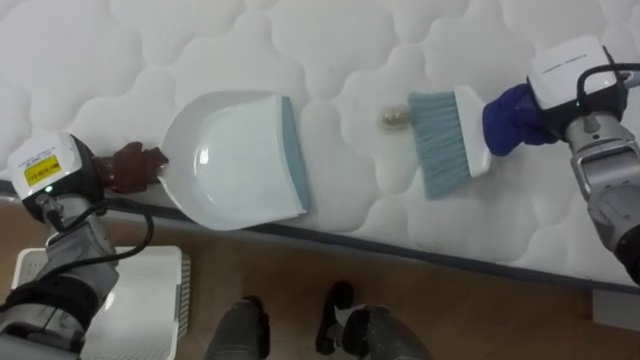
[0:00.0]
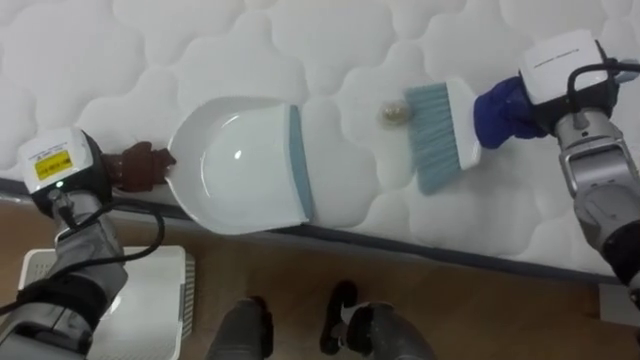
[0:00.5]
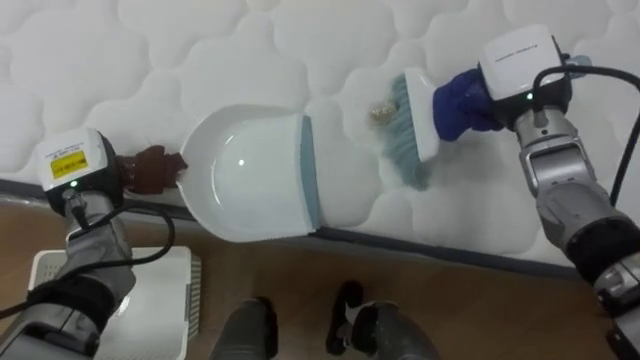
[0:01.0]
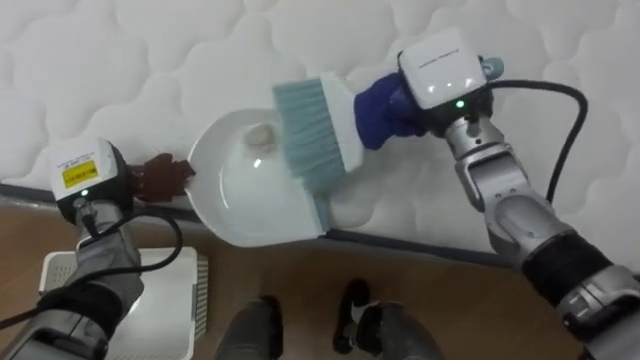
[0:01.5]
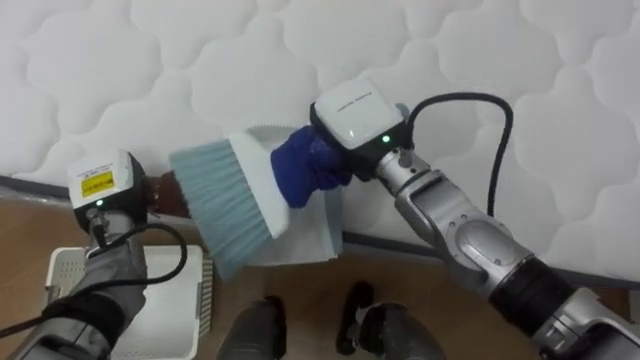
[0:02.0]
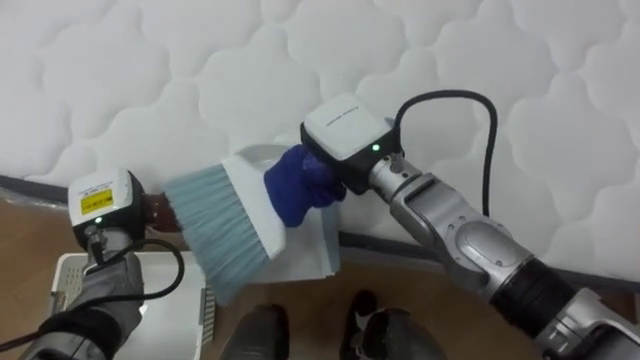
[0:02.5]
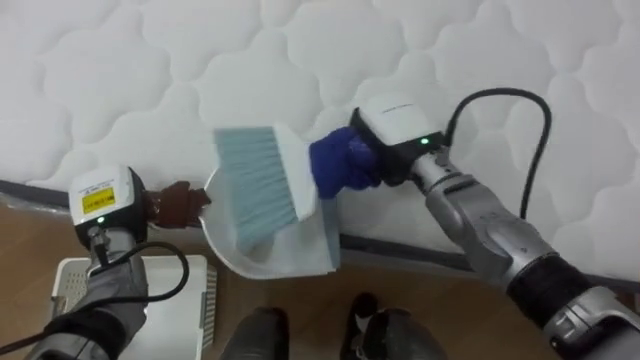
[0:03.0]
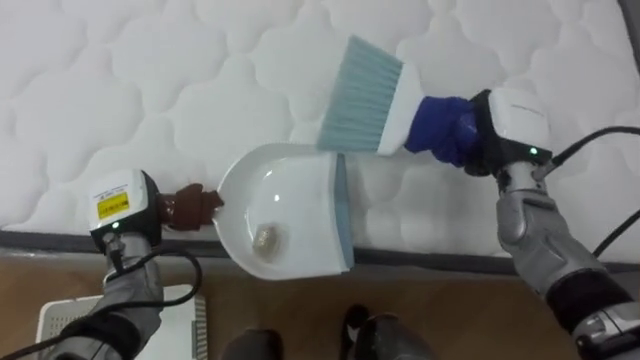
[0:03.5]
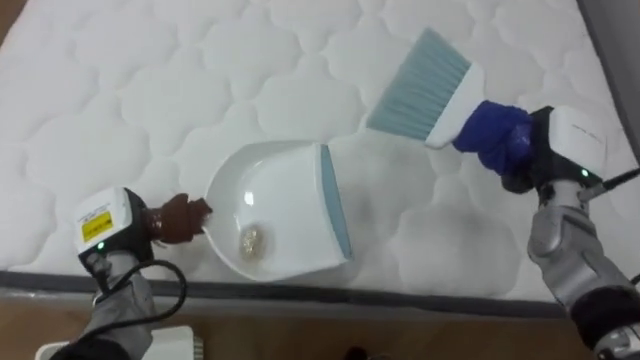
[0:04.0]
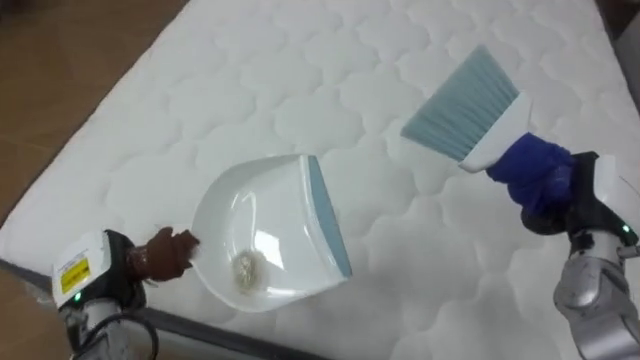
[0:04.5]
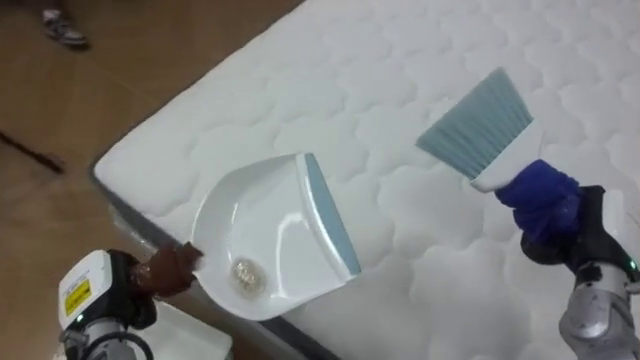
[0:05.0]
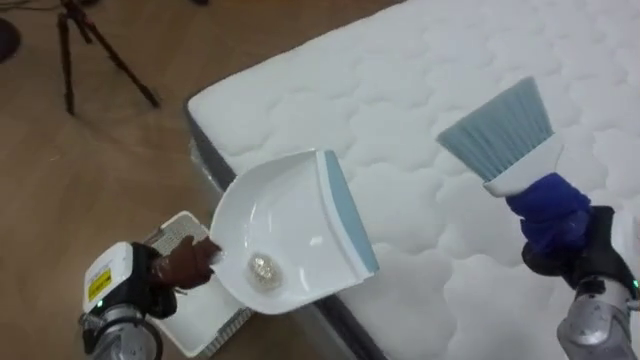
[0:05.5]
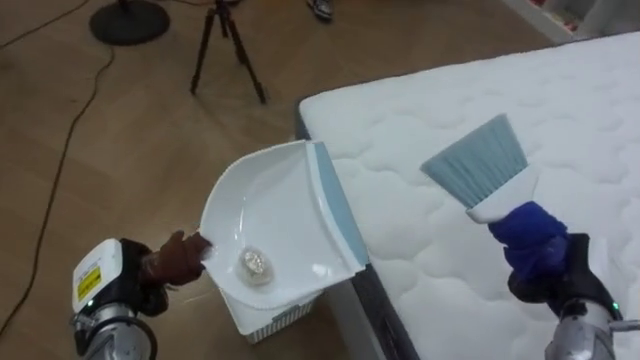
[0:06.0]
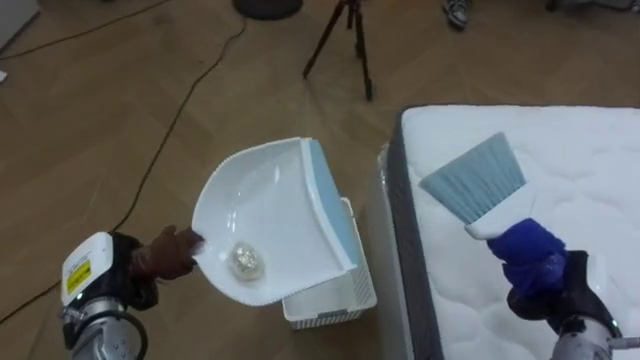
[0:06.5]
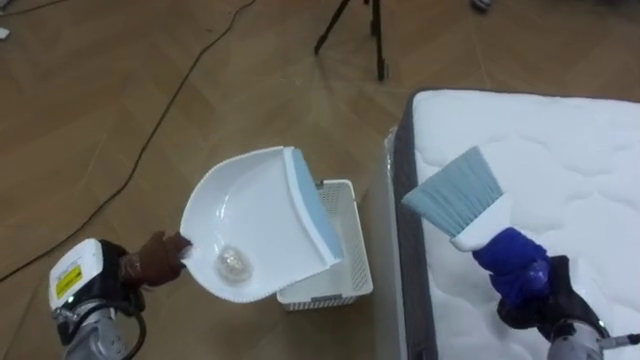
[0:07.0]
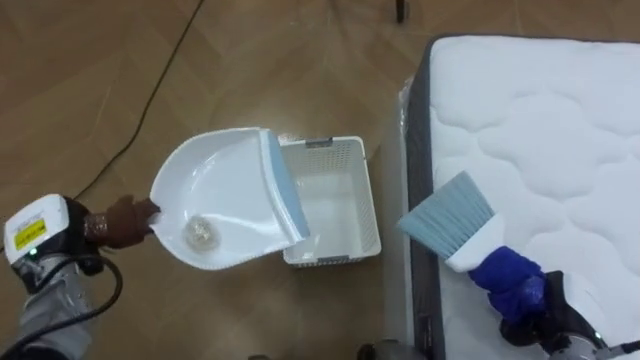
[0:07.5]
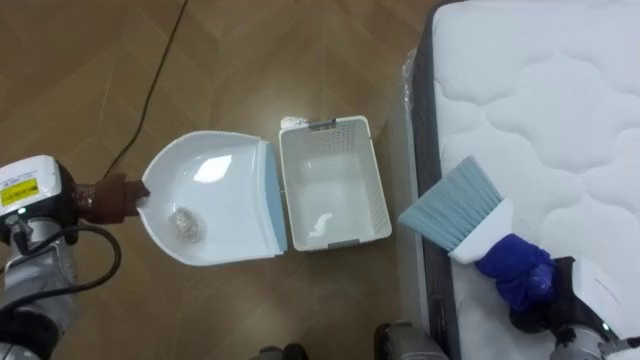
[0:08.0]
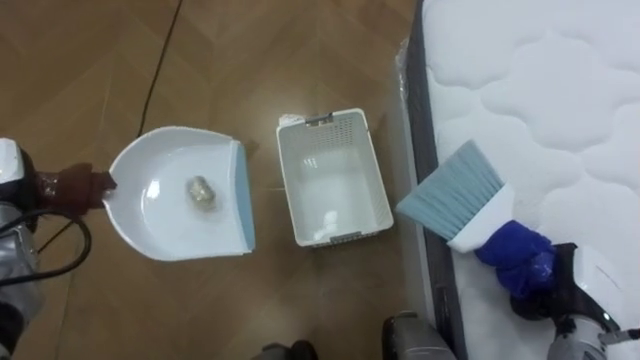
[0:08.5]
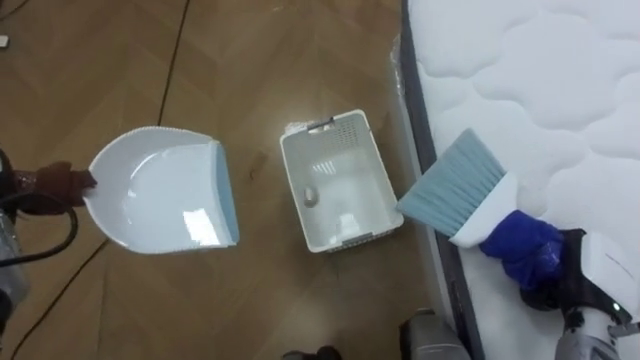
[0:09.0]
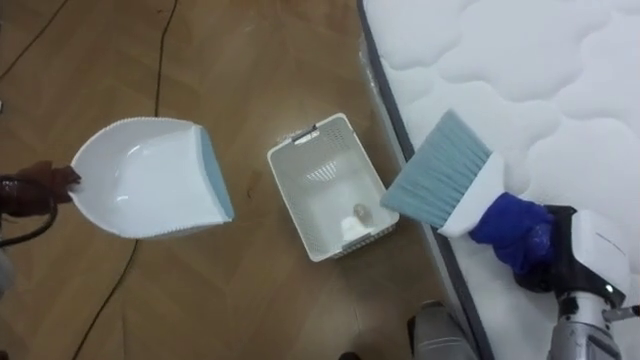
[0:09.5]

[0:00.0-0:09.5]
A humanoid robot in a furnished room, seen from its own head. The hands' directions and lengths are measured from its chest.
Task of the whole recording: Pick up the brush on your right and the dustpan on your left. Use the brush to sweep the crumpled paper on the bed into the dustpan, then turn left and empty it into the basket.
0:00.0 to 0:02.0: The right hand shifts about 25 cm to the left. The left hand is displaced to the right by approximately 5 cm.
0:02.0 to 0:04.0: The right hand moves to the right, approximately 25 cm; the left hand moves about 5 cm.
0:04.0 to 0:05.5: The robot turns to its left by some 55 degrees. The right hand heads backward and downward, covering some 15 cm, while the left hand is displaced backward by approximately 5 cm.
0:05.5 to 0:07.5: The robot faces roughly 40 degrees further to its left. The left hand moves to the left, approximately 10 cm, while the right hand travels downward by about 10 cm.
0:07.5 to 0:09.5: The right hand goes some 5 cm upward.

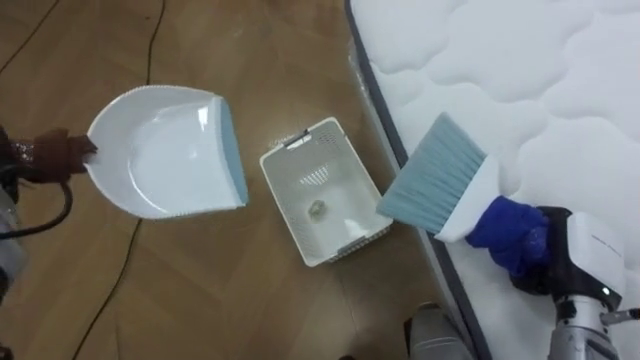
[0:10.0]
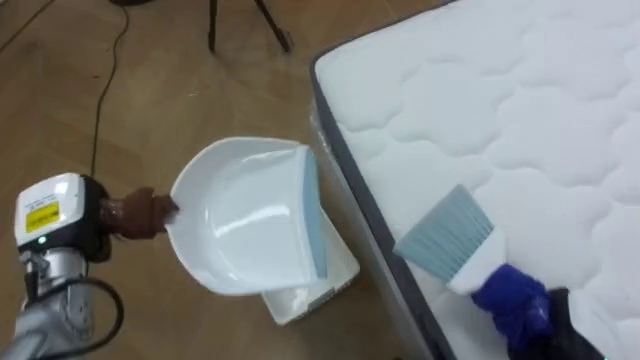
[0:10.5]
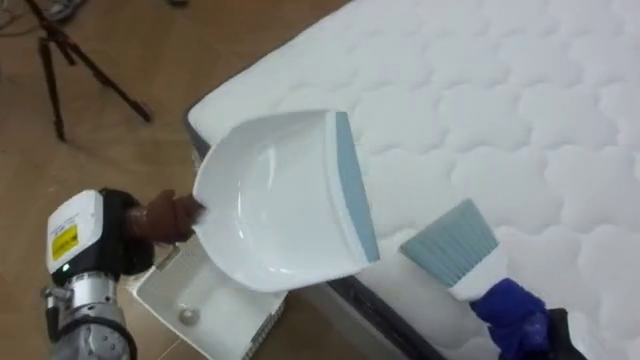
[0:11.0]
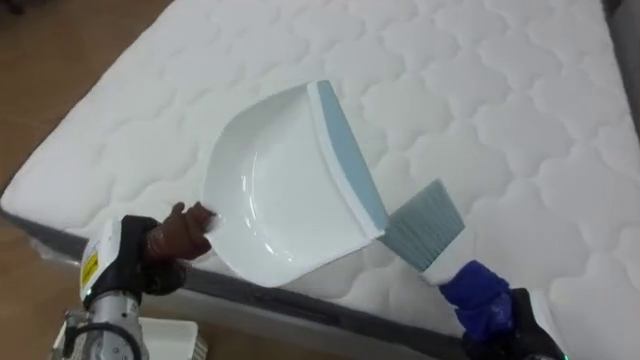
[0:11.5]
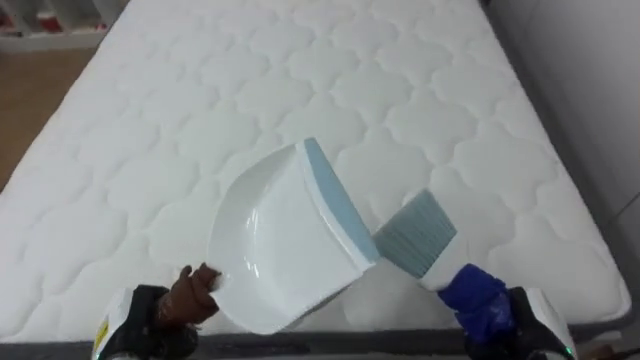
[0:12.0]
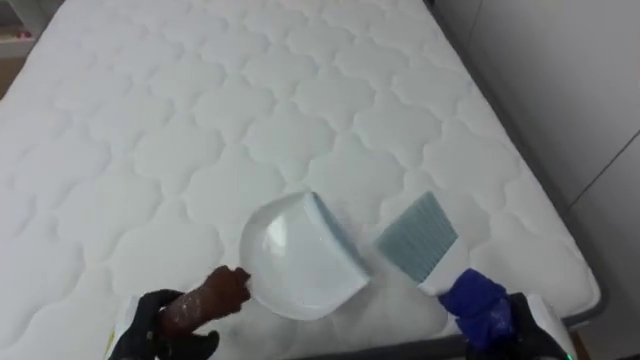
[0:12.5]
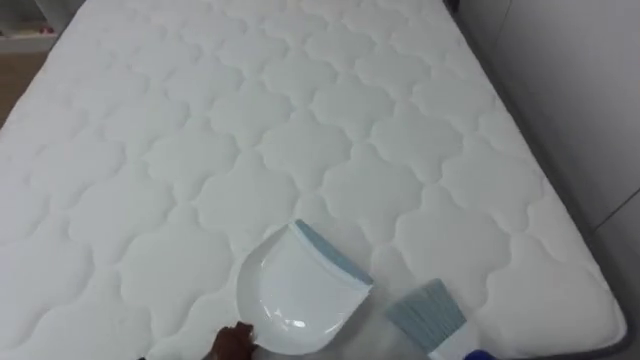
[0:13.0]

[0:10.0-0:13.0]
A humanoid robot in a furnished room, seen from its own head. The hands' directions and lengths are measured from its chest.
Task of the whole recording: Pick up the brush on your right and the dustpan on your left. Use the brush to sweep the crumpled paper on the bed into the dustpan, then turn left and empty it into the basket.
0:10.0 to 0:11.5: The robot's body swings roughly 70 degrees to its right.
0:11.5 to 0:13.0: The robot's body swings roughly 25 degrees to its right.

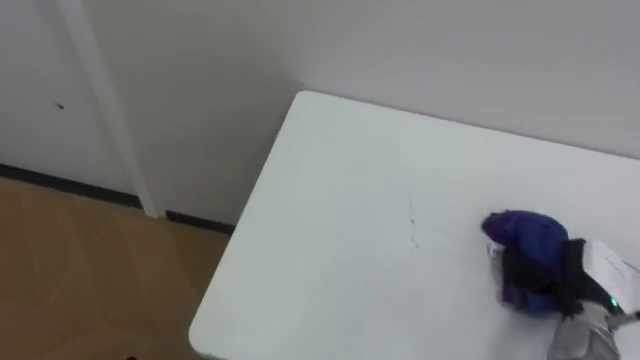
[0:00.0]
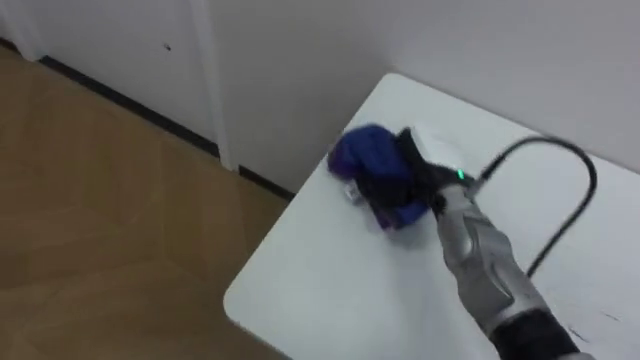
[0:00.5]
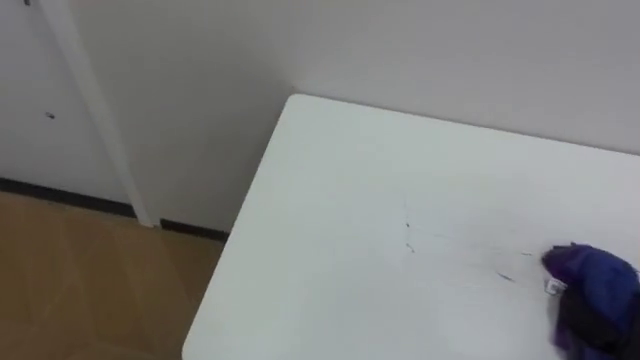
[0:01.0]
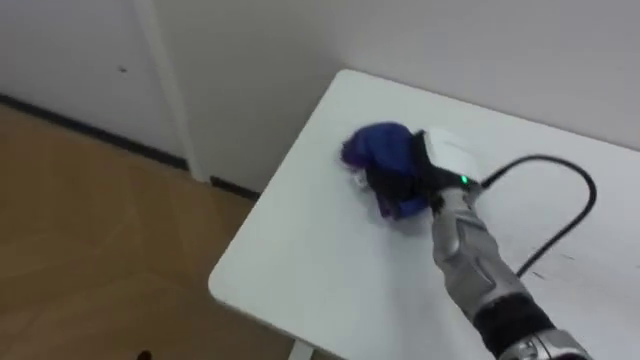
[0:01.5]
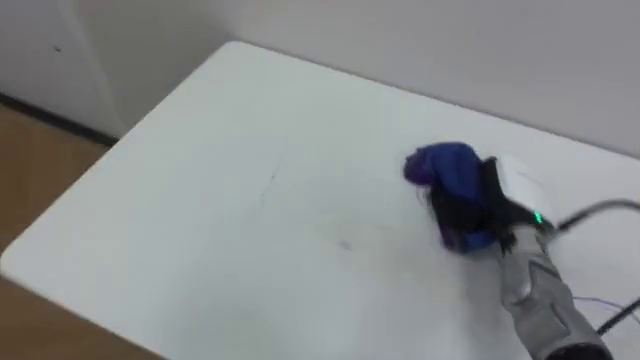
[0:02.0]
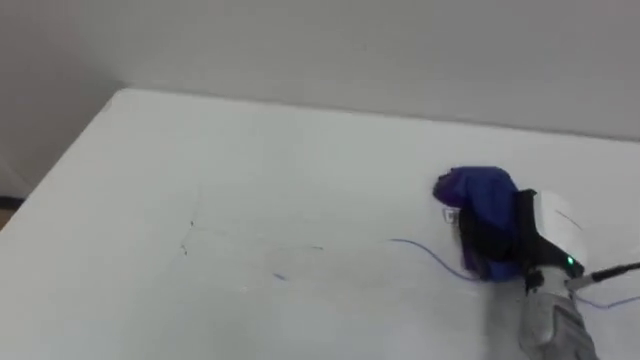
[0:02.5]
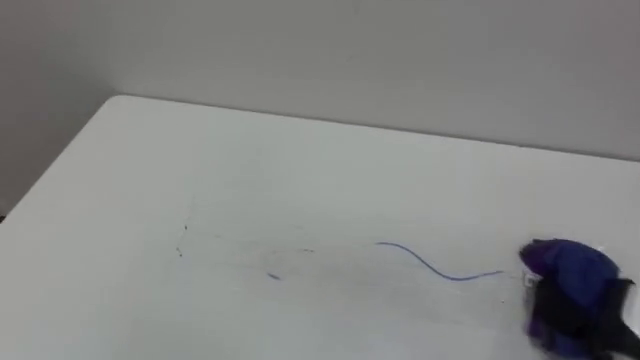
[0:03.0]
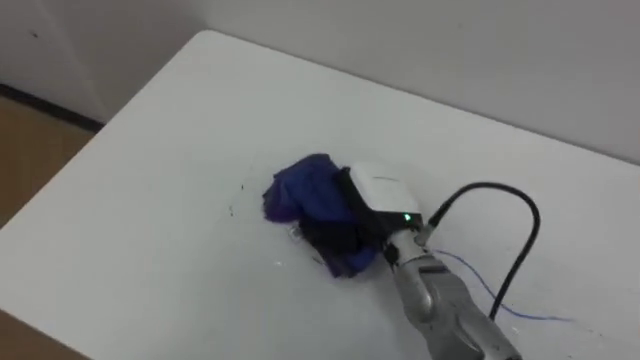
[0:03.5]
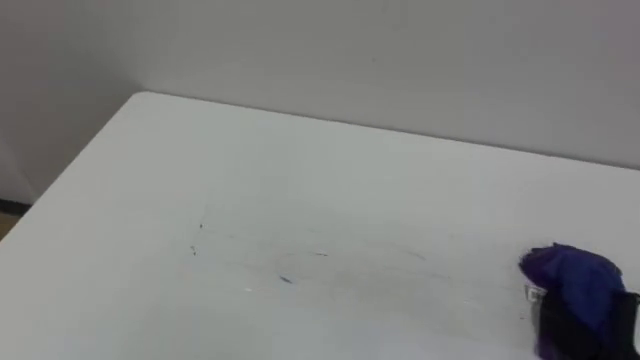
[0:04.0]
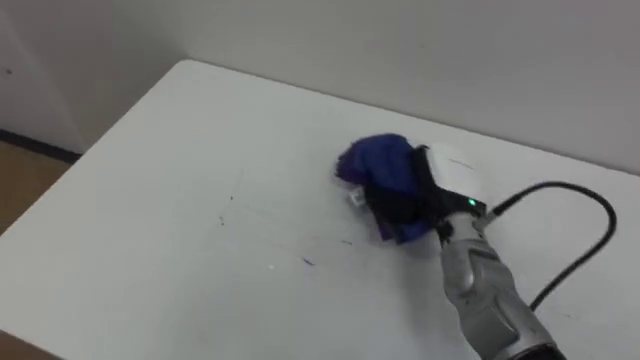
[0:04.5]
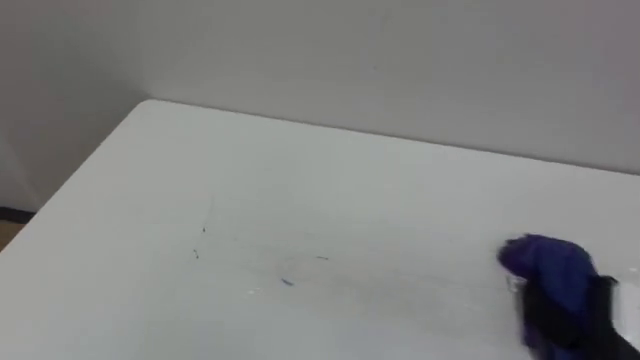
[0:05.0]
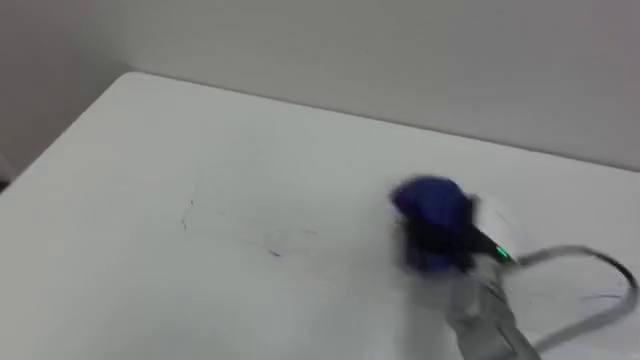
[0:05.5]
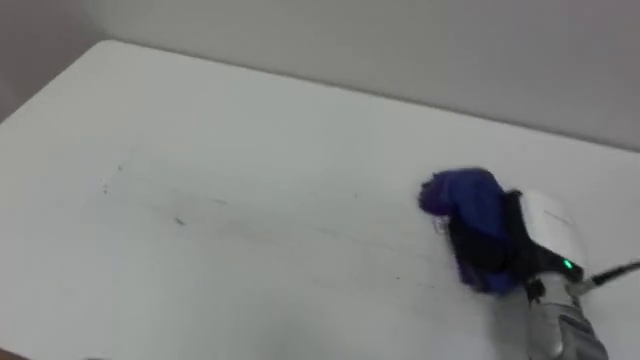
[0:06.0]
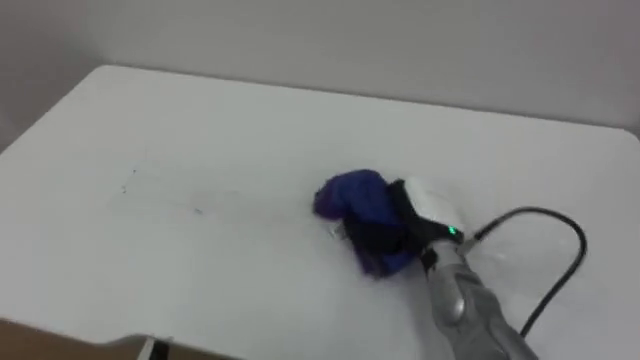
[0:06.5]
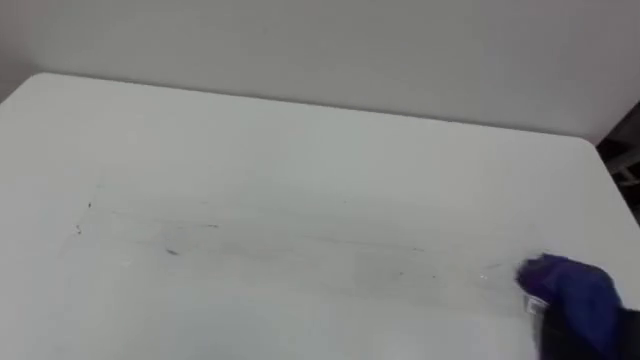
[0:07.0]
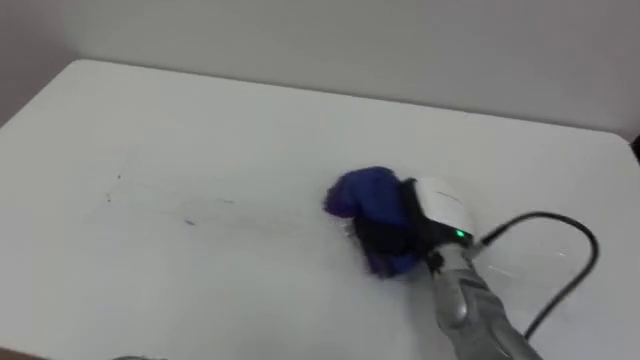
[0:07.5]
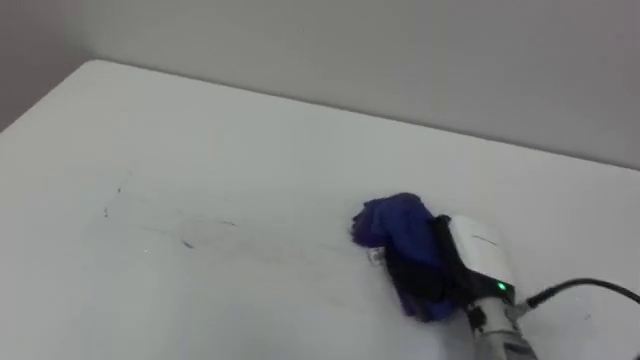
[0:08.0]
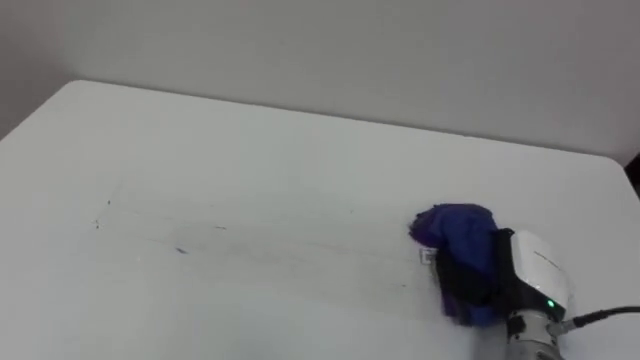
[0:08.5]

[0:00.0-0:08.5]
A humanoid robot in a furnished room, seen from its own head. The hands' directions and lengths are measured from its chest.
Task of the whole recording: Wipe the blue pen marks off the table with the rag.
0:02.0 to 0:04.0: The right hand moves left and right over some 30 cm, changing direction 2 times.
